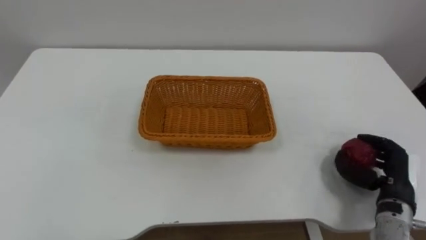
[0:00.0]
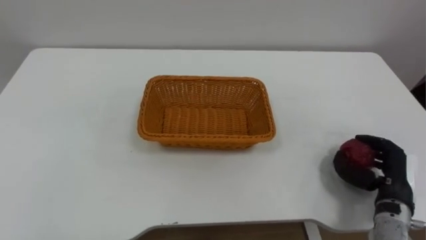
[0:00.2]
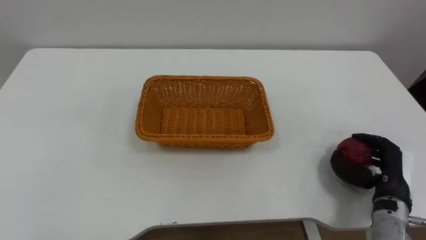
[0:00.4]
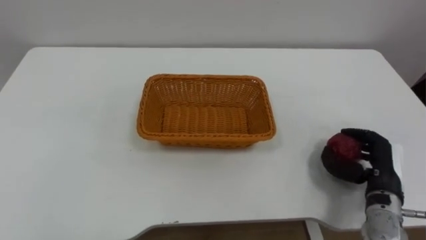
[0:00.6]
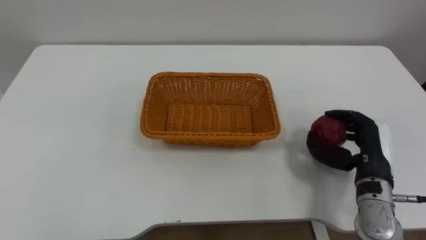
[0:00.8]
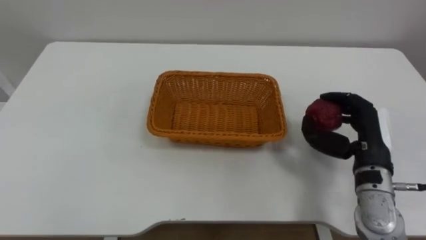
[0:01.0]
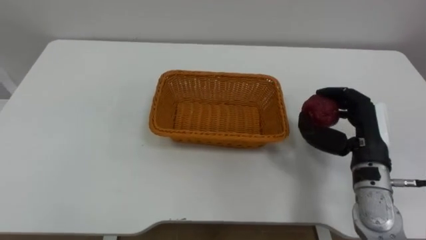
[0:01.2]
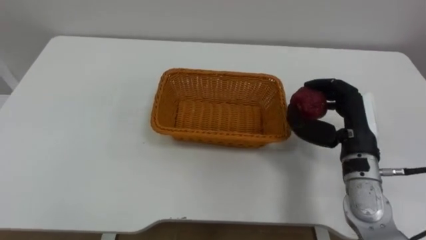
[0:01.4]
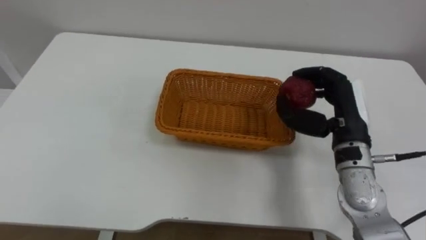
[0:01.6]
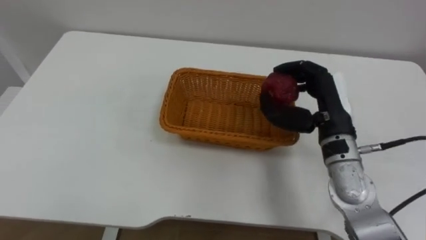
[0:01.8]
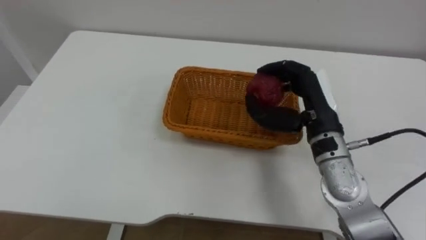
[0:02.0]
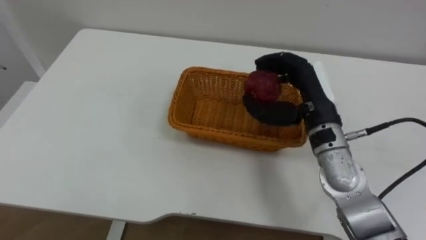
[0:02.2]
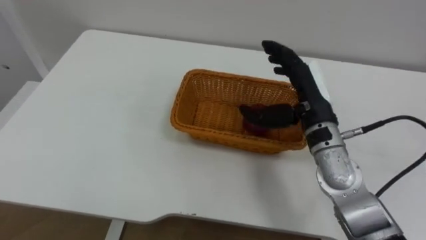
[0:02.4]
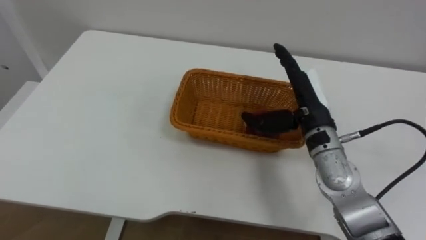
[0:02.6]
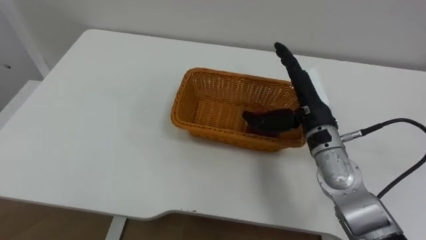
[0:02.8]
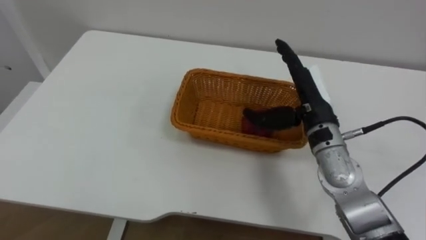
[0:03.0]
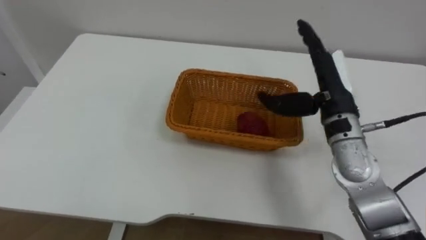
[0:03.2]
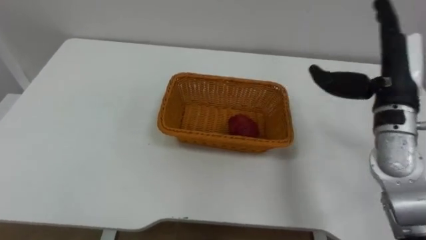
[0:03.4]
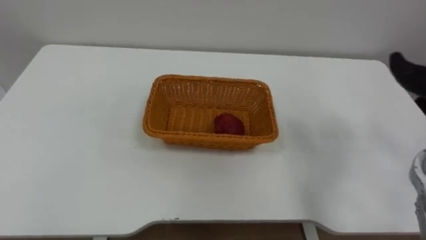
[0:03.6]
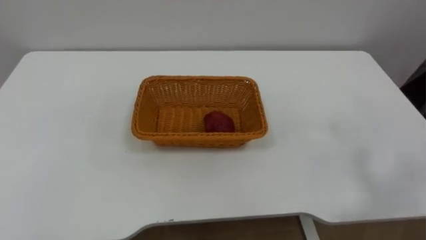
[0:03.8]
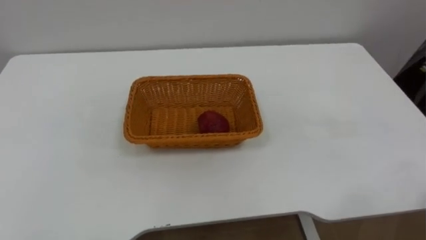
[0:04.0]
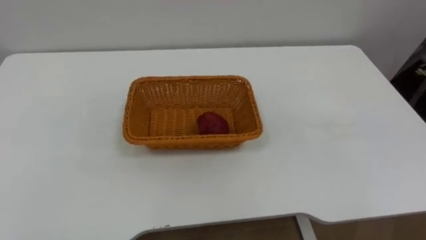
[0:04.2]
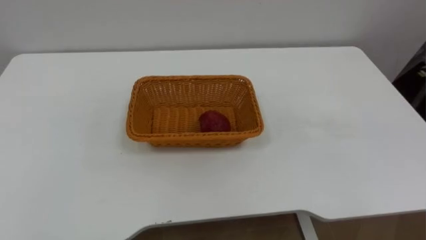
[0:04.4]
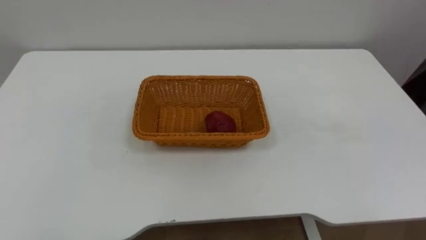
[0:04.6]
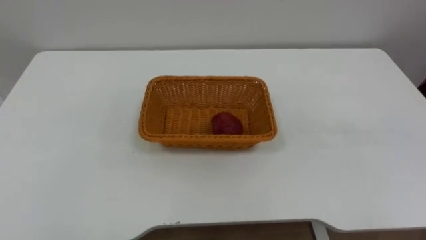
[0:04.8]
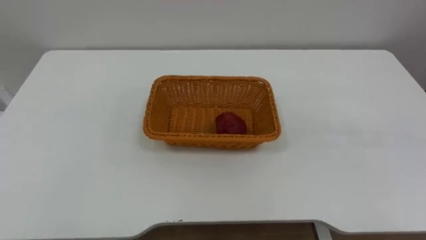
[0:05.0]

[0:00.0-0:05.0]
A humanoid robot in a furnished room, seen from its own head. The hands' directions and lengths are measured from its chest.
Task of the whole recording: Pick the apple and place it in the box.
0:00.0 to 0:01.6: The right hand travels upward, to the left and forward by about 15 cm.
0:01.6 to 0:03.4: The right hand heads upward, covering about 5 cm, moves some 5 cm to the left and comes back, and opens up.

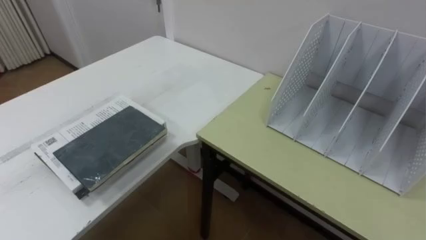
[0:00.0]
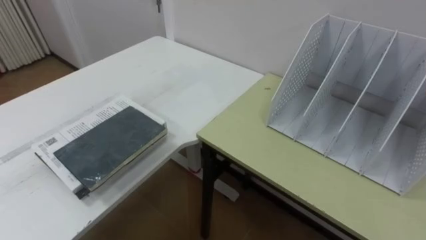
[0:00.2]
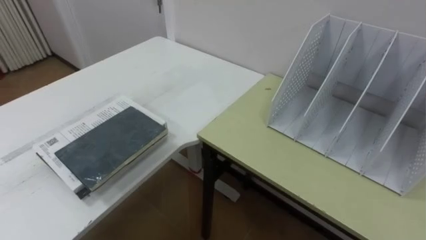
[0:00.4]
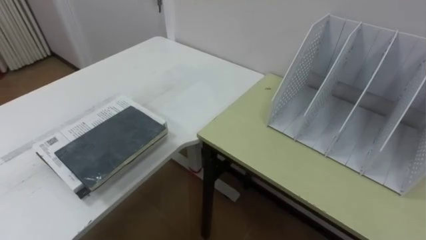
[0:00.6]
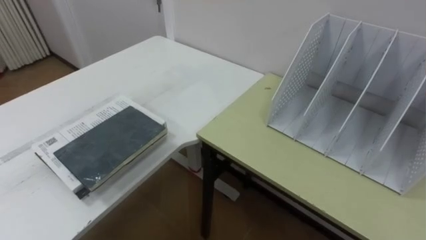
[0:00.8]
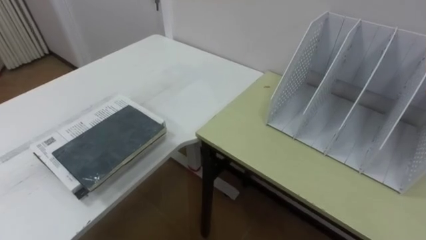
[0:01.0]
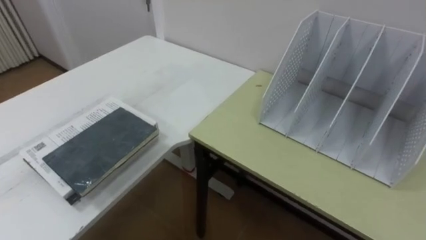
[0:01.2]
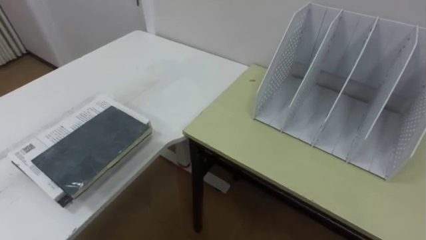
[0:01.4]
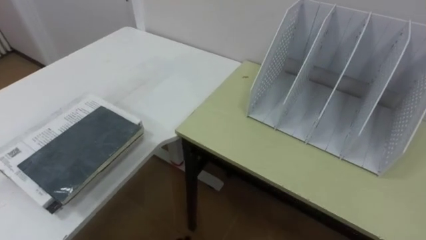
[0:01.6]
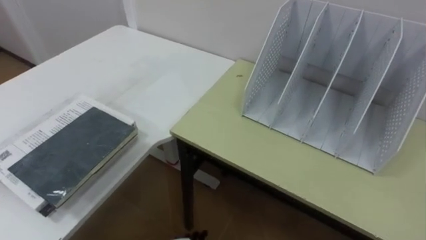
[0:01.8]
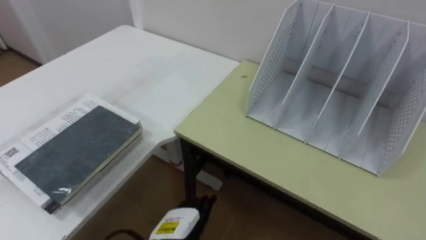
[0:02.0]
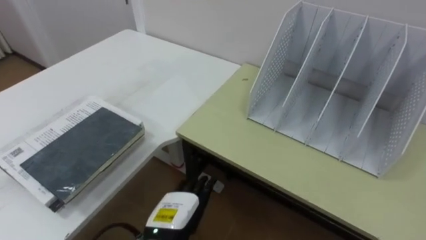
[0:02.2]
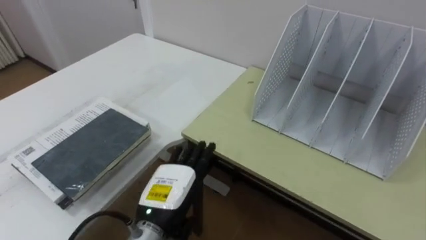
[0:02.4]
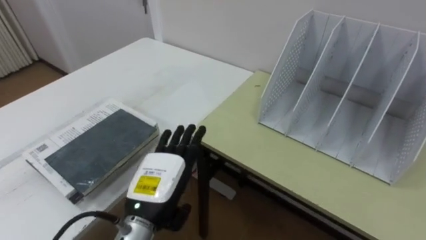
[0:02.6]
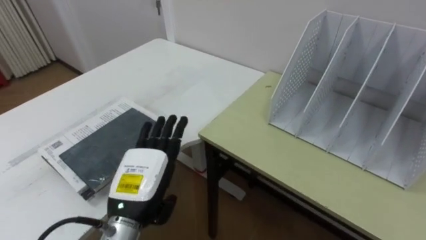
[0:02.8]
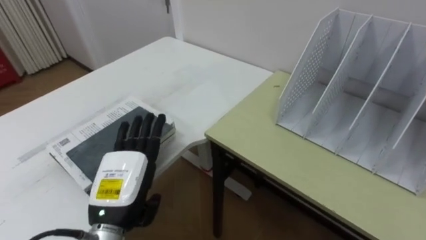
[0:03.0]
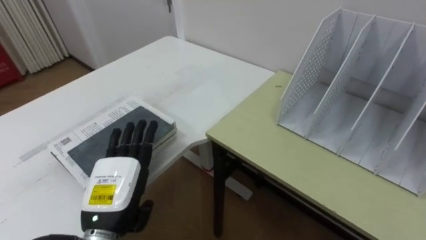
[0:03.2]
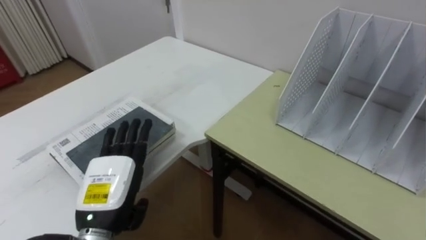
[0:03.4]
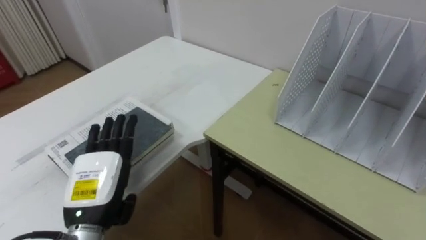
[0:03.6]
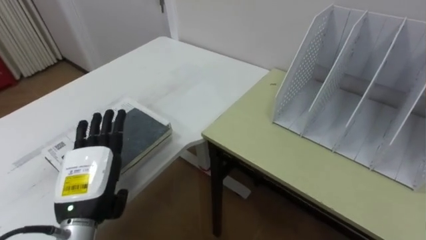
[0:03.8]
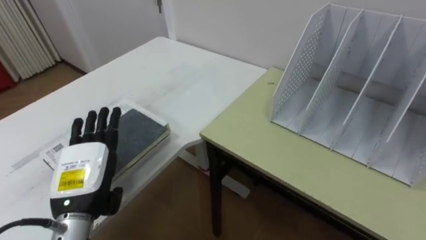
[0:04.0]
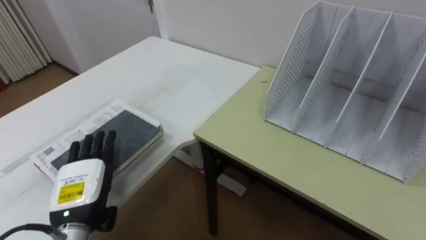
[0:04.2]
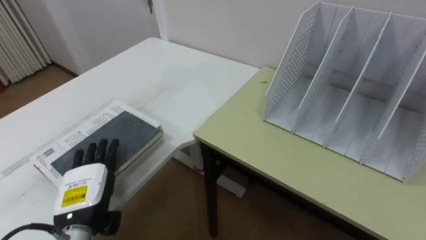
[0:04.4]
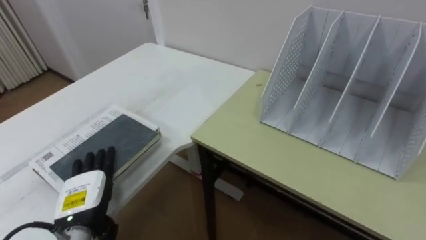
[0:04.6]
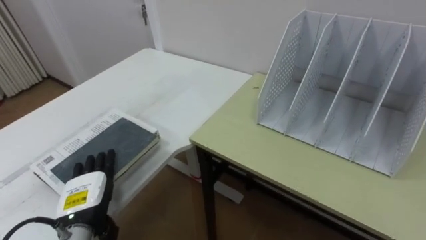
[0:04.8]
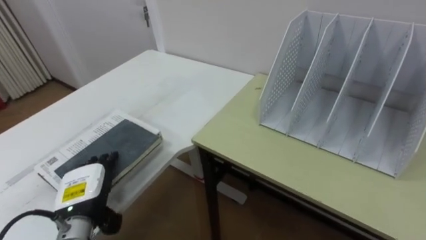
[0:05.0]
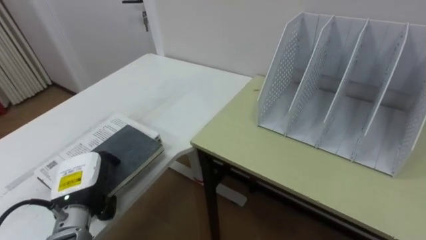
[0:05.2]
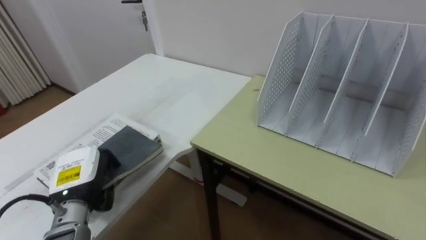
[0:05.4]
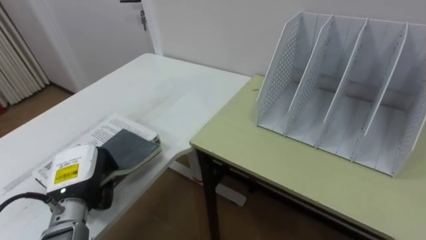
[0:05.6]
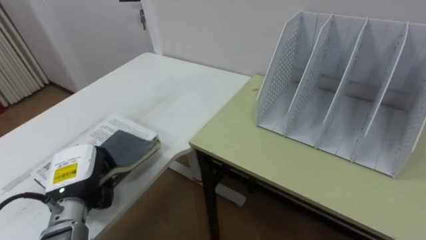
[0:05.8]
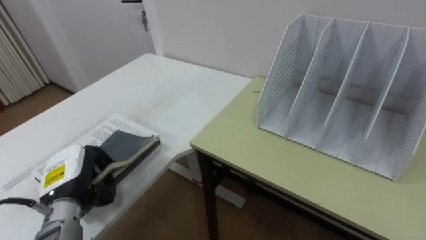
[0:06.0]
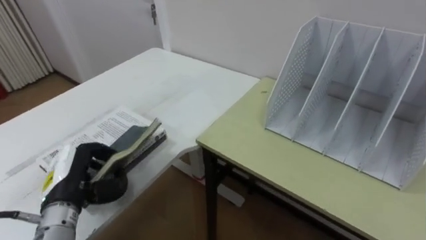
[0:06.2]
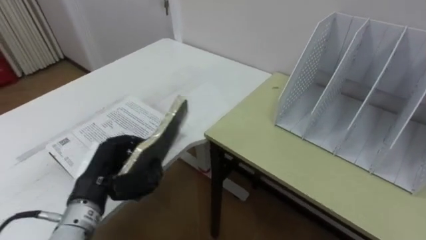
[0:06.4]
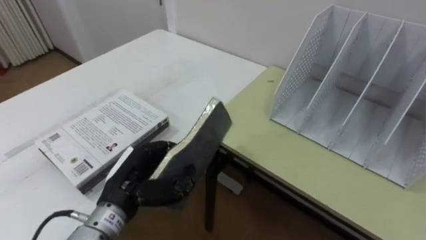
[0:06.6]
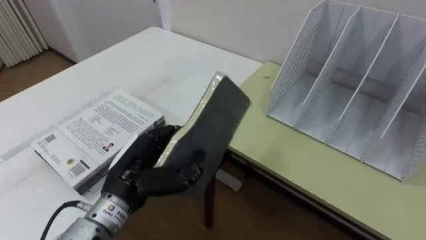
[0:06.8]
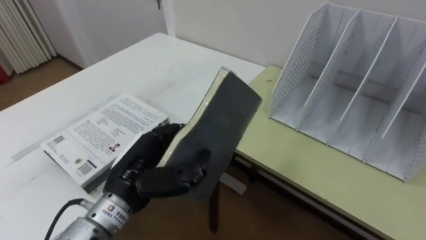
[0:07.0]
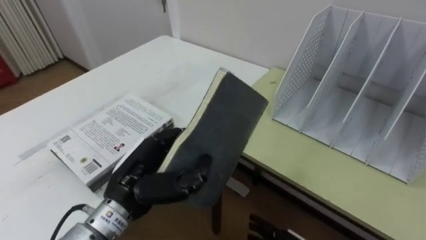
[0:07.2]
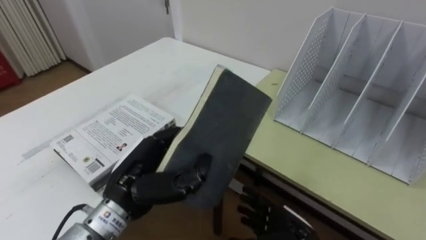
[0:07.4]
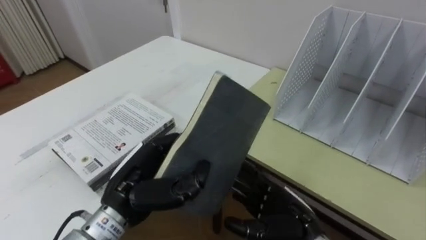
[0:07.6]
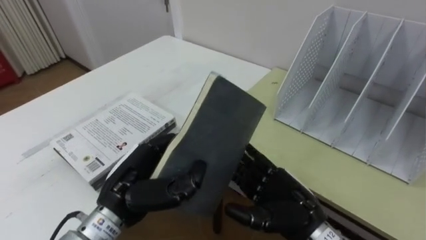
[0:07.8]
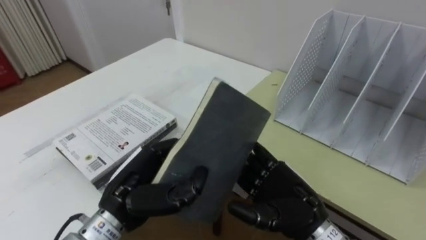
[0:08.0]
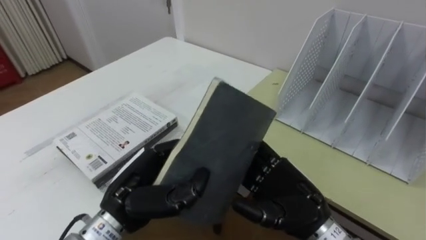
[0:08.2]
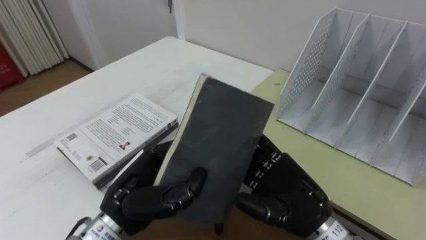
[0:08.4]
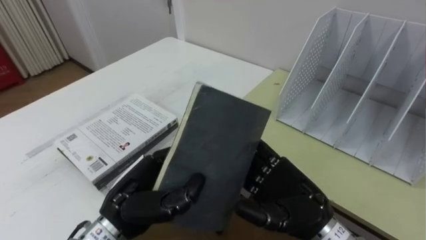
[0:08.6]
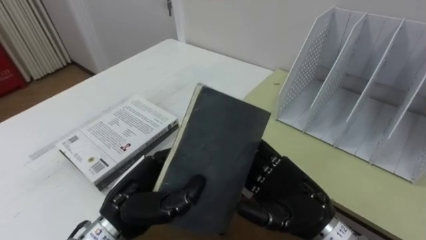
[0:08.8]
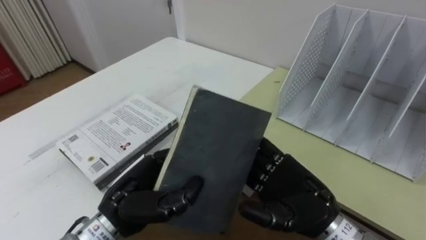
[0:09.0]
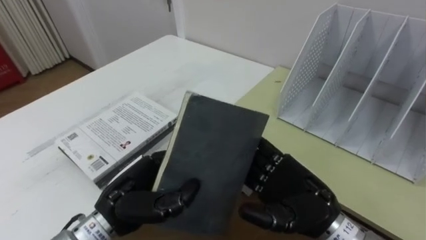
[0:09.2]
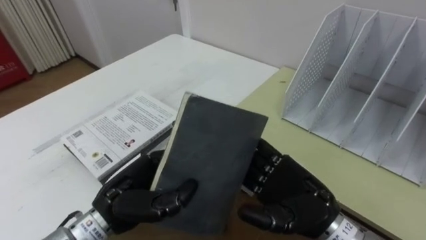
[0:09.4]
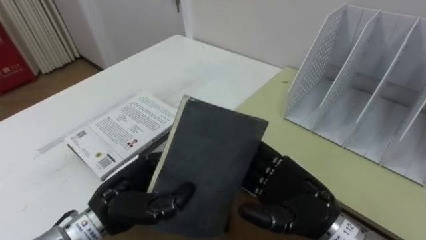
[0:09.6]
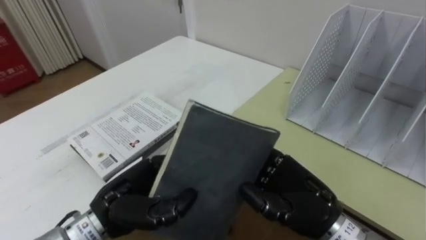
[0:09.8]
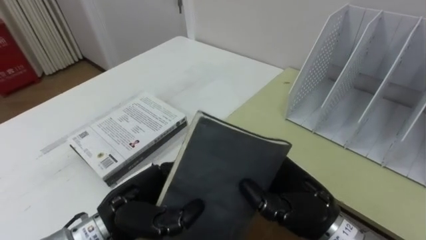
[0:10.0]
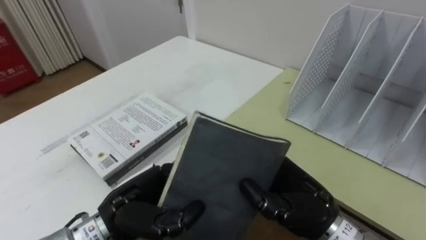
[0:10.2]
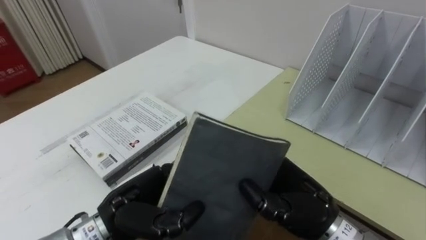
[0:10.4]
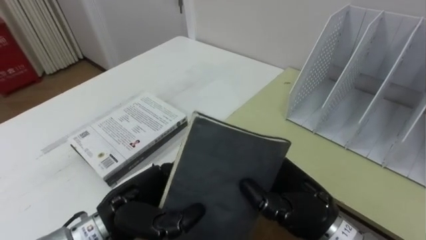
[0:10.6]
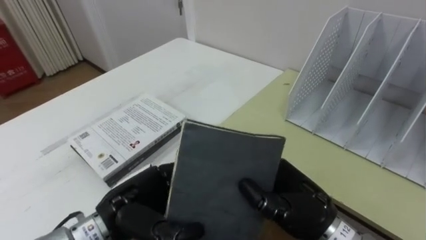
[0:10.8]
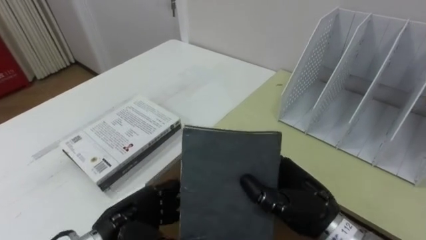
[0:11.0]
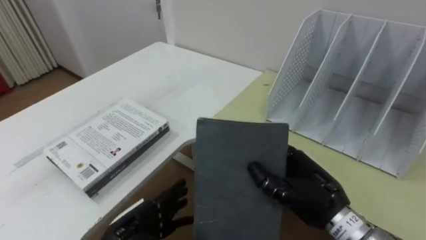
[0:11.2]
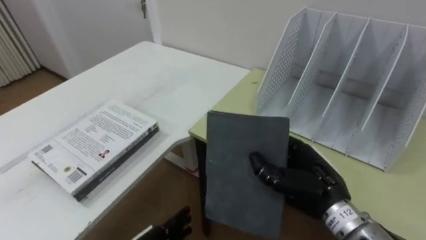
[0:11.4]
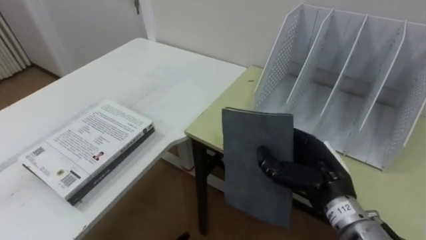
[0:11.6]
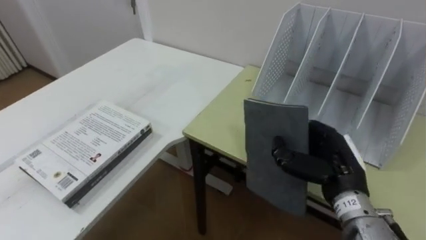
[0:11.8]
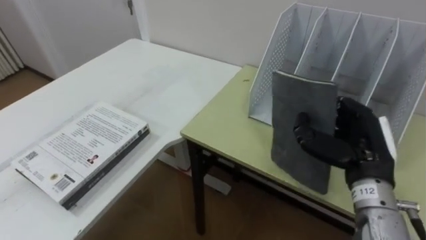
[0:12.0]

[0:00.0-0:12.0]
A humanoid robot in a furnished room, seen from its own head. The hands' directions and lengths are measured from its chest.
Task of the whole recording: Put the books on the table onto the bookshelf.
0:03.0 to 0:04.4: The left hand is displaced to the left by some 10 cm.
0:04.4 to 0:06.0: The left hand closes.
0:06.0 to 0:07.6: The left hand is displaced to the right and upward by roughly 15 cm.
0:07.6 to 0:09.0: The right hand shifts approximately 10 cm upward.
0:09.0 to 0:10.4: The right hand closes up.
0:10.4 to 0:12.0: The right hand heads to the right, covering about 10 cm.
